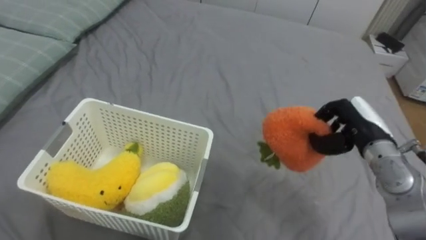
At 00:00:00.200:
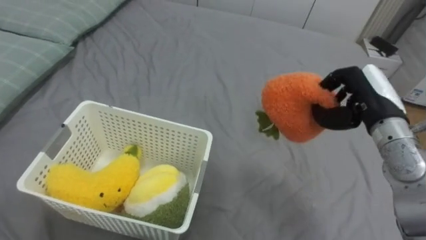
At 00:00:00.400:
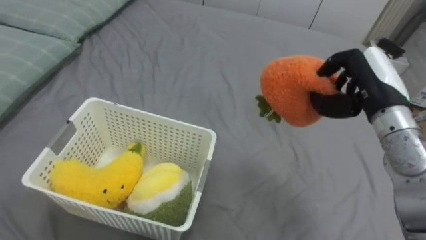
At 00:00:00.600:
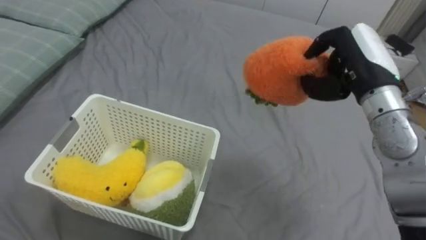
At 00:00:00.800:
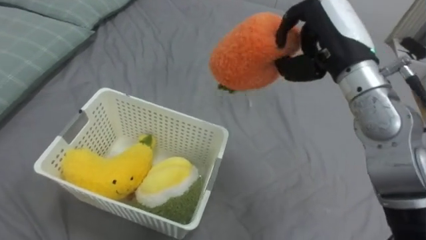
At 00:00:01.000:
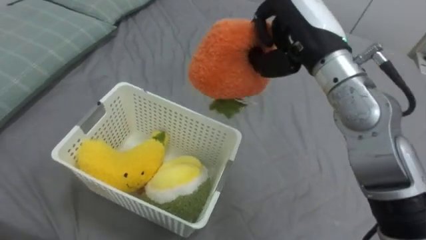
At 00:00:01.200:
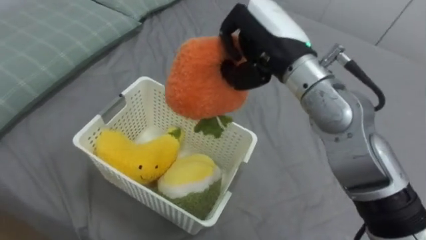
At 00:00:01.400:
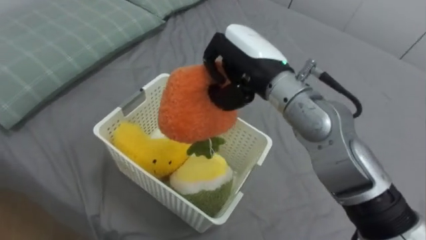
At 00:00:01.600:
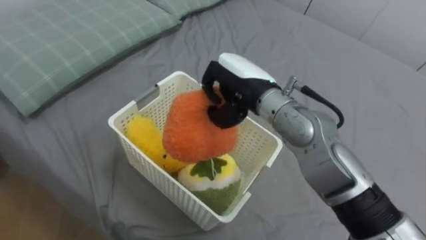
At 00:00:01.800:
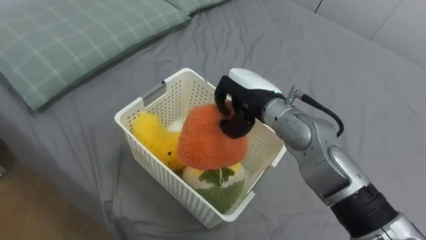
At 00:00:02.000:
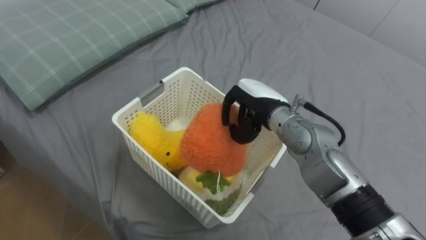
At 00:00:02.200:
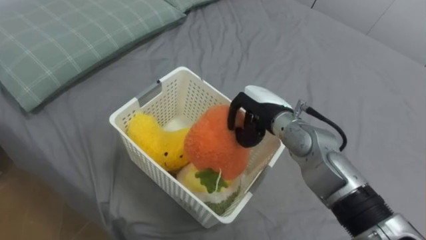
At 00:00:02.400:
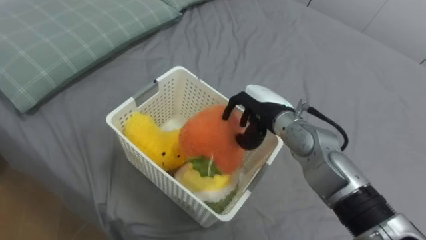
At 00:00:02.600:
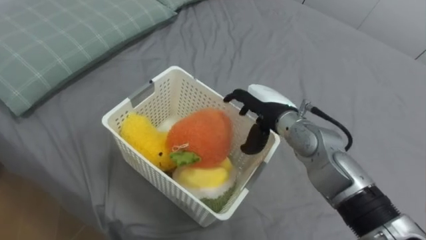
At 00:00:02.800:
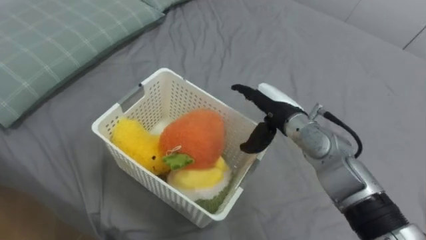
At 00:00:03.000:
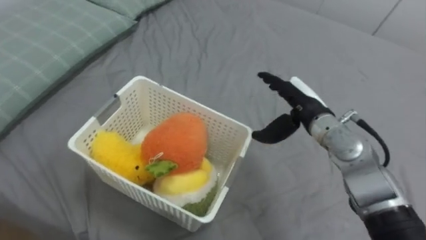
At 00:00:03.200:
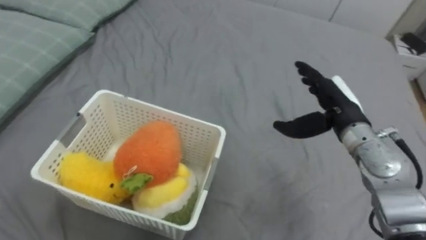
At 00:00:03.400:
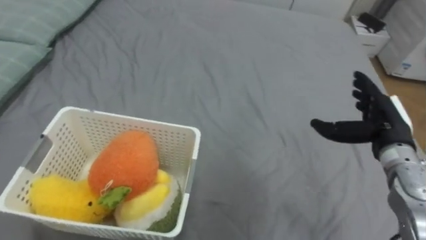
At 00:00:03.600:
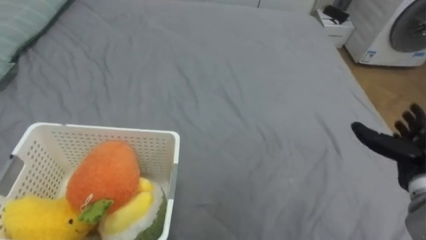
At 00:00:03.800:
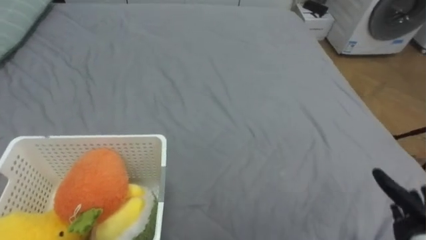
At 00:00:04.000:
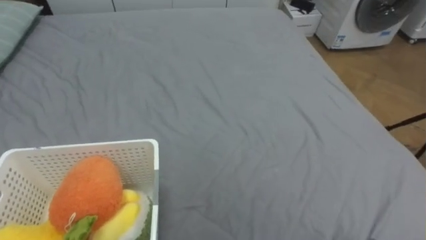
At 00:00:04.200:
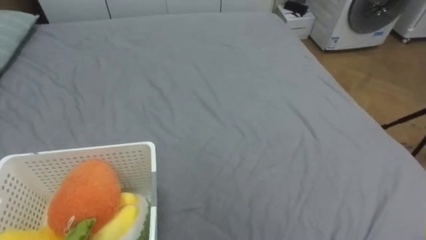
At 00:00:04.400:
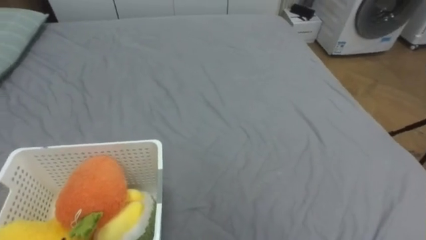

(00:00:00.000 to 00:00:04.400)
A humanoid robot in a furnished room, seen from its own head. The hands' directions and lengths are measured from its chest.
Task of the whole recording: Put the toys on the bed into the basket on the left.
00:00:00.000 - 00:00:01.400: The right hand shifts roughly 25 cm to the left and upward.
00:00:01.400 - 00:00:03.000: The right hand is displaced downward and to the right by approximately 15 cm, and opens.

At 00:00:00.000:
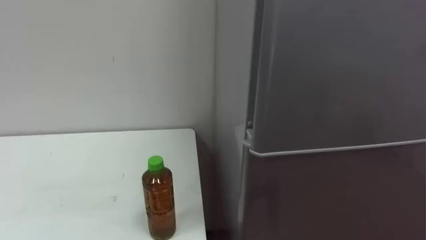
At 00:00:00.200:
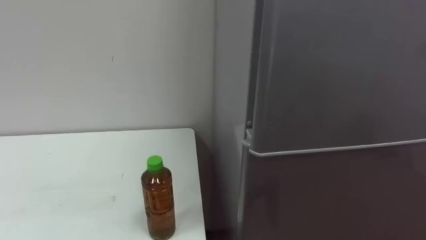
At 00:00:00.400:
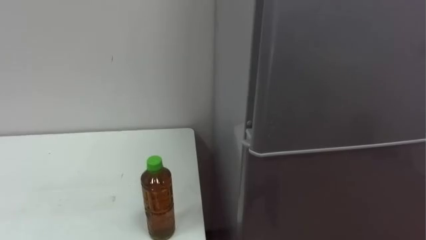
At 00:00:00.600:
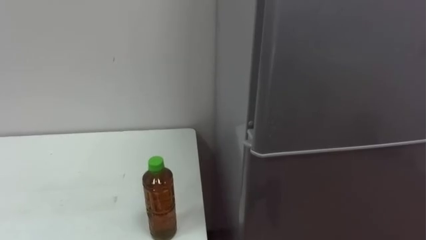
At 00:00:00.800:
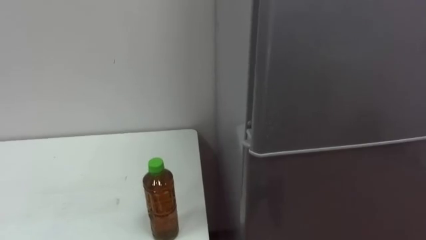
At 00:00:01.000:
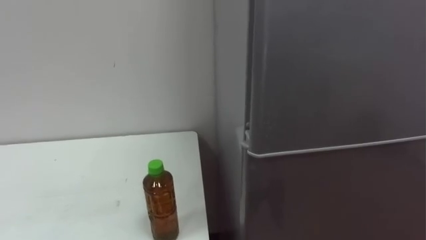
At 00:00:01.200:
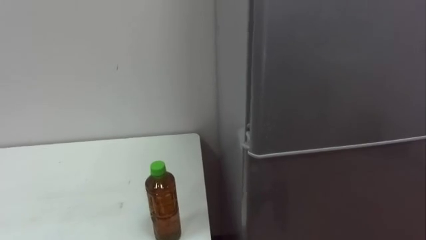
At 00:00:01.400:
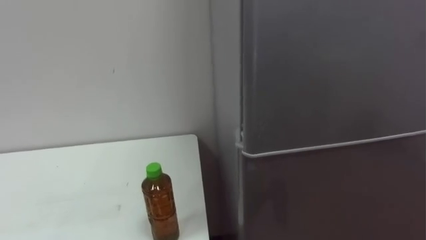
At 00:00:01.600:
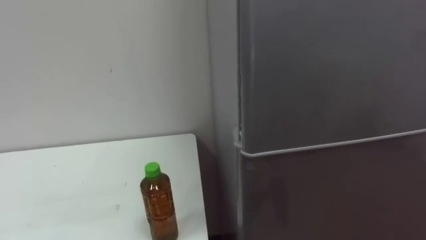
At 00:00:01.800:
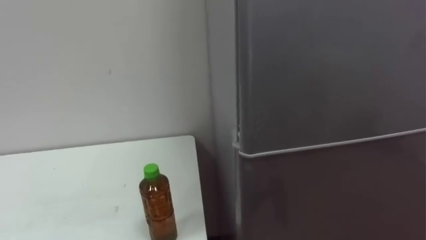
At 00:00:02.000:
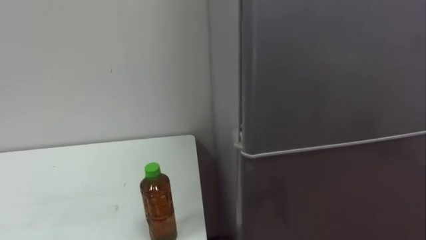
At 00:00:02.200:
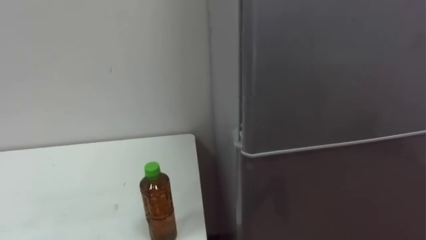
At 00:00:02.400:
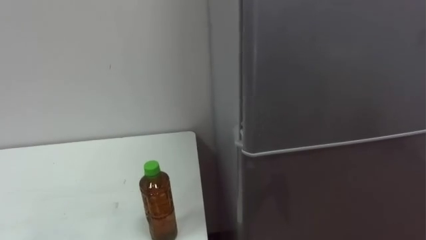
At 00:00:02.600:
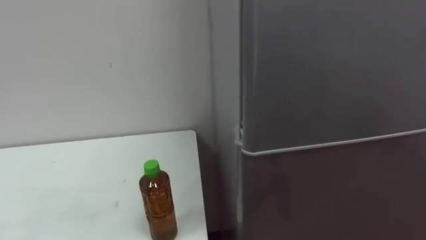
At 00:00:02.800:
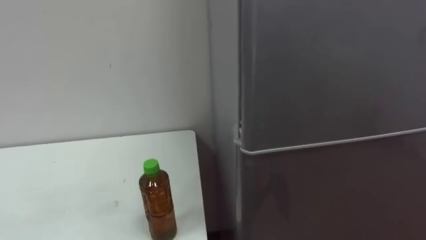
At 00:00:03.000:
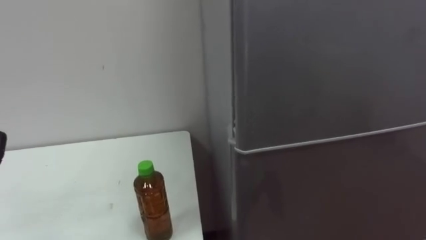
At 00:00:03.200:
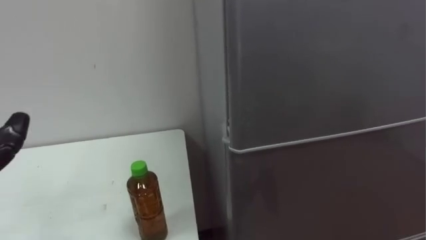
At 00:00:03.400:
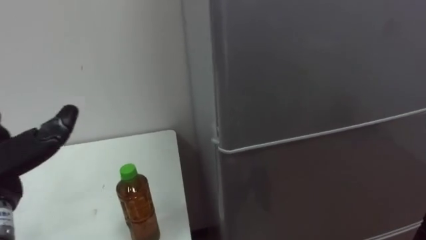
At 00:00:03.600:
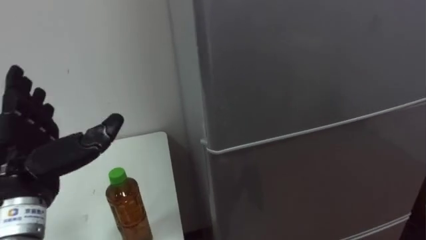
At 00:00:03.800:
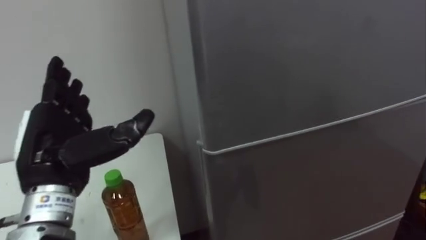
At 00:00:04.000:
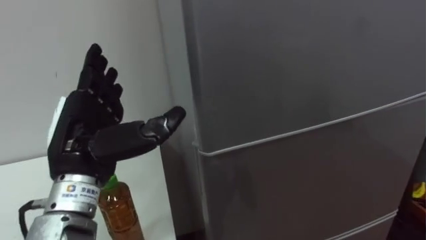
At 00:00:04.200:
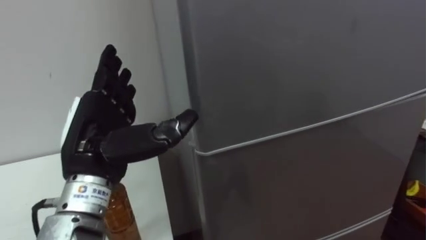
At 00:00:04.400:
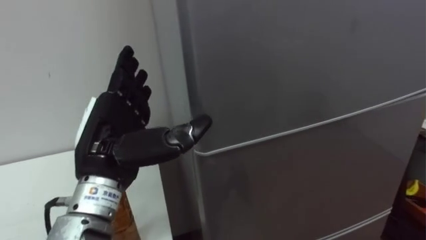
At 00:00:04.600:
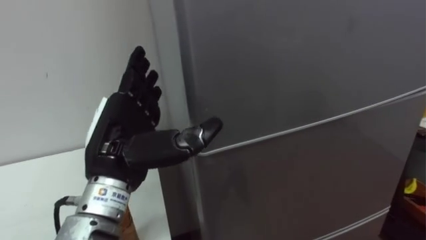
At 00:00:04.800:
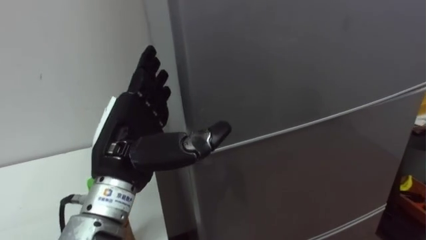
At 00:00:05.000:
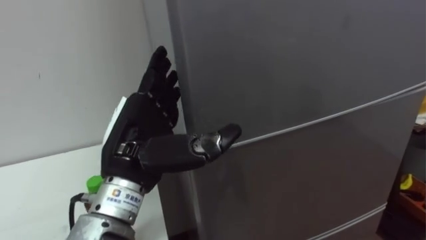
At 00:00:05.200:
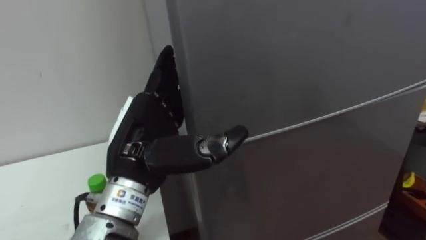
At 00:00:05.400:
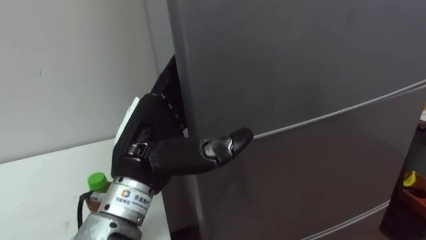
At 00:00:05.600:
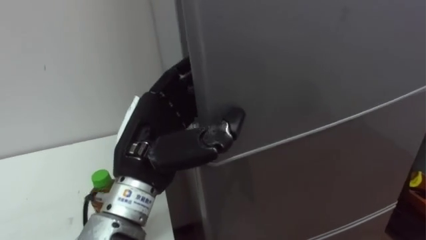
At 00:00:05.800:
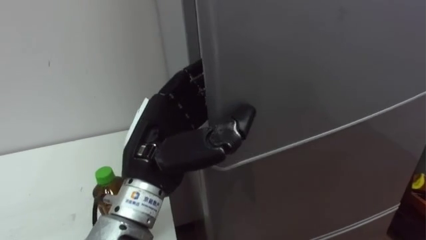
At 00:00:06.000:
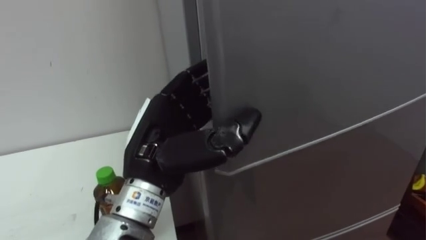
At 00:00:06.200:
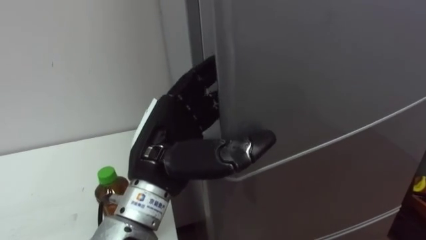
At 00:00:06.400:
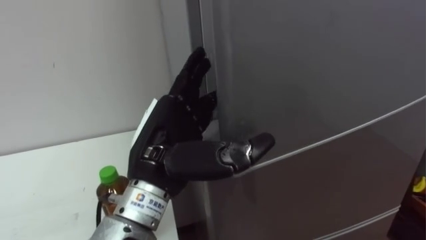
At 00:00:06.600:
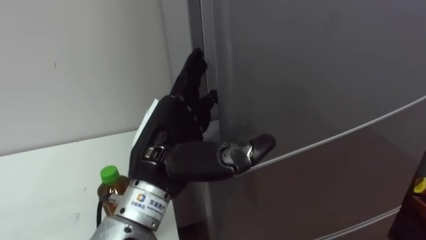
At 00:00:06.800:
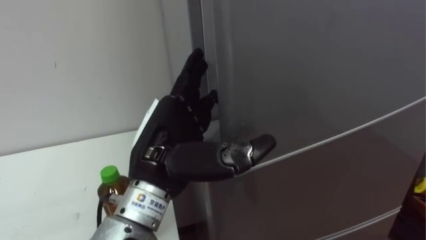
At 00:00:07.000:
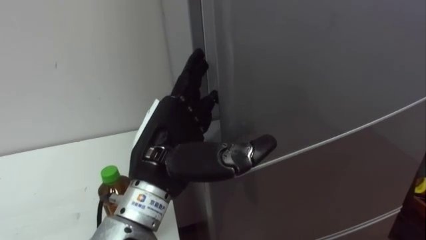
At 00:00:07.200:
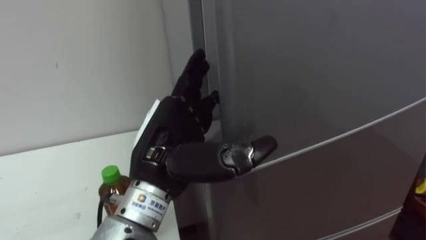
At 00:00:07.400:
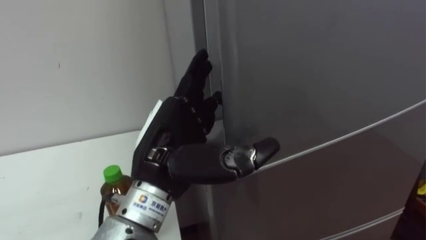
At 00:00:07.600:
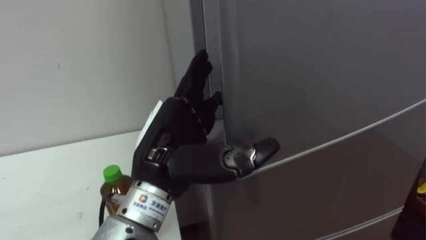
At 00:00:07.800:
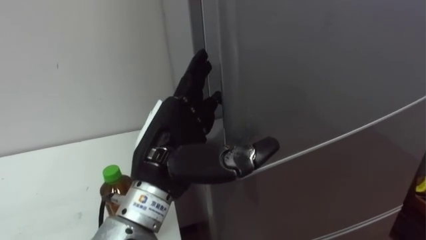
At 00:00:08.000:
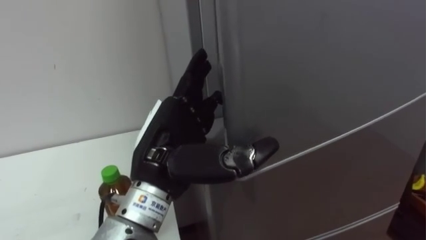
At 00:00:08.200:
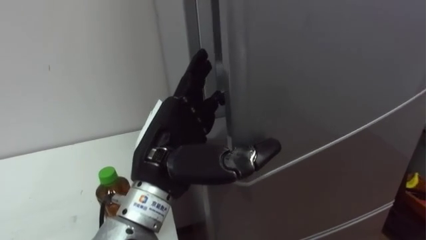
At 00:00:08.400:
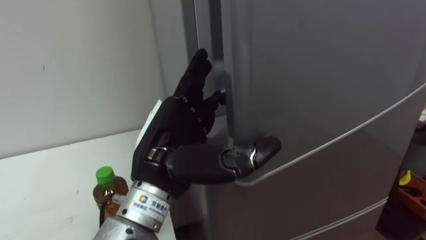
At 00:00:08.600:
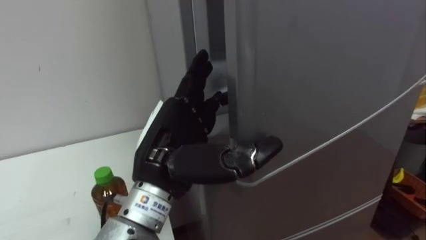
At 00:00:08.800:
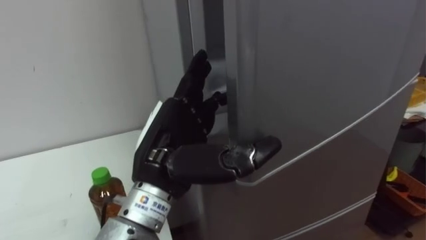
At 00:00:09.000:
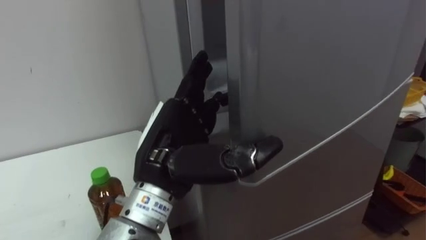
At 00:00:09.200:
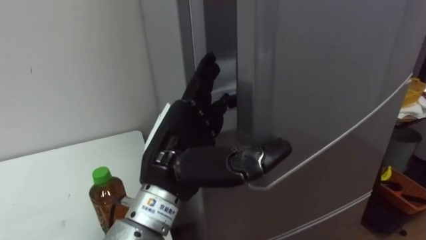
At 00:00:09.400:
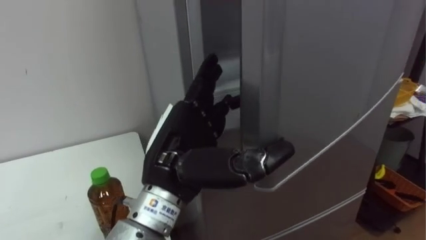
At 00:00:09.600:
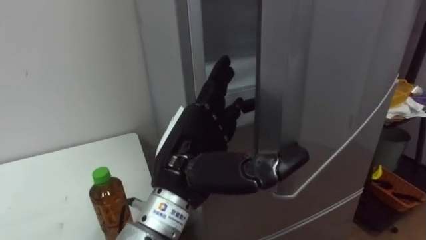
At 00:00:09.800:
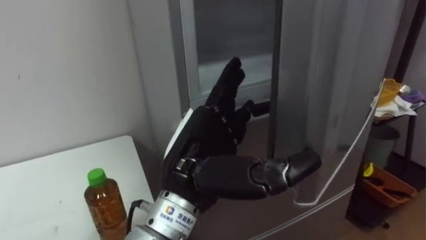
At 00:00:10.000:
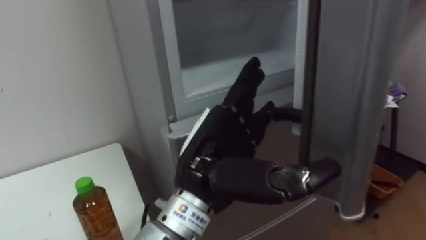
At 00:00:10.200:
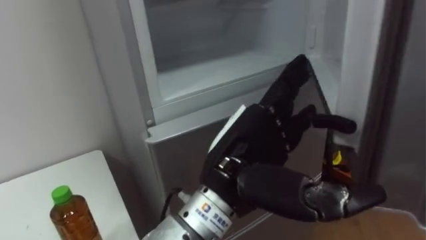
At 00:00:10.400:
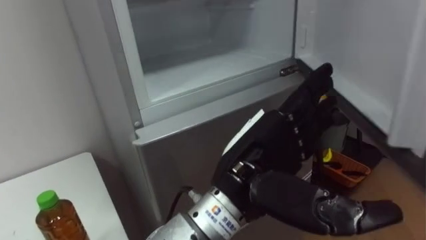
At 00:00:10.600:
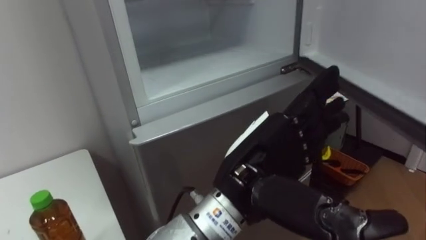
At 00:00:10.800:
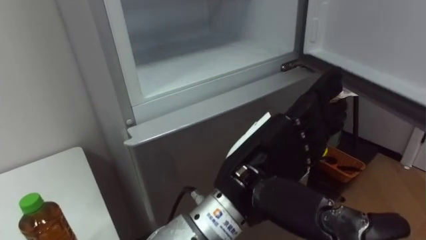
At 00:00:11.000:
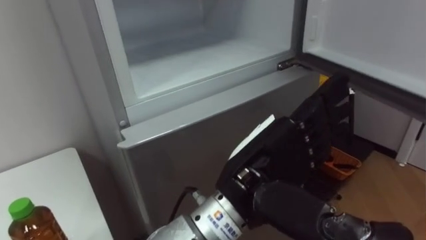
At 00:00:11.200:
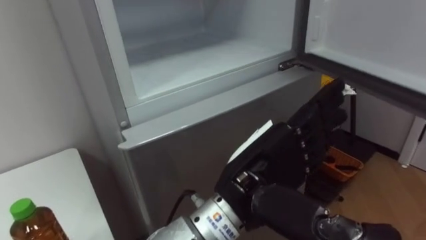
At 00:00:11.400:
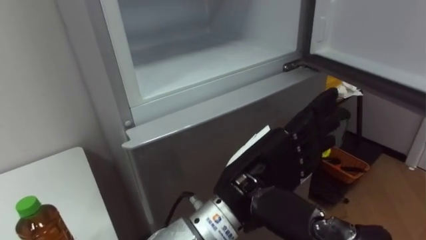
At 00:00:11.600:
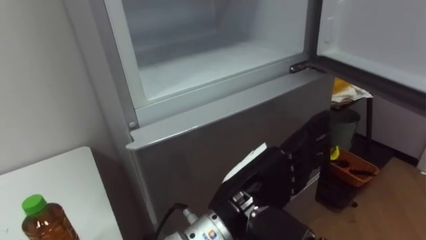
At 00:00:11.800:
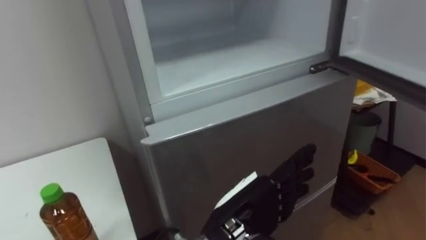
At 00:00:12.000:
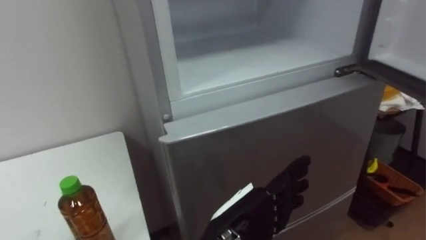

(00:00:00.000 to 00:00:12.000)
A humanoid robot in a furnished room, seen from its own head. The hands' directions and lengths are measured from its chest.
Task of the whole recording: Open the upper refrigerator door, put the drink from the table into the refrigerator, and then close the refrigerator door.
00:00:04.400 - 00:00:06.000: The left hand moves to the right, approximately 5 cm, and closes up.
00:00:06.000 - 00:00:07.600: The left hand opens up.
00:00:09.000 - 00:00:10.400: The left hand moves to the right, about 10 cm.
00:00:10.400 - 00:00:12.000: The left hand heads downward, covering approximately 10 cm.
